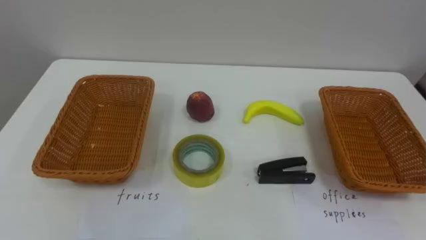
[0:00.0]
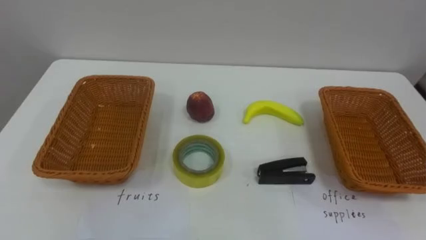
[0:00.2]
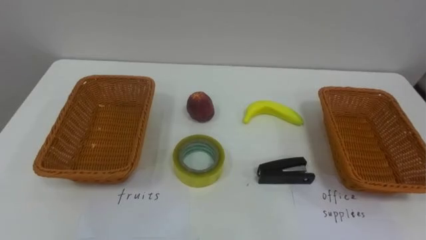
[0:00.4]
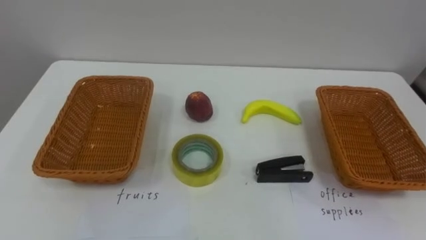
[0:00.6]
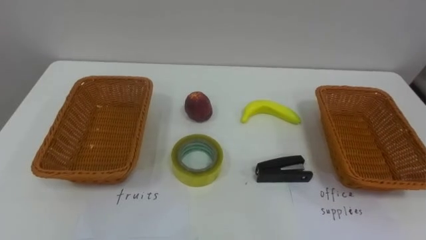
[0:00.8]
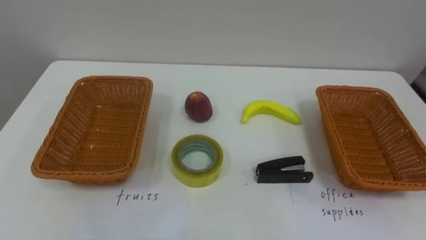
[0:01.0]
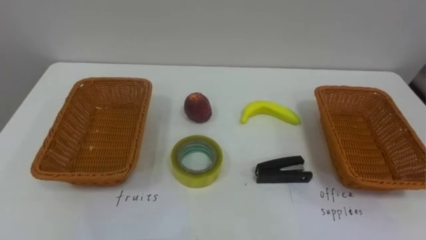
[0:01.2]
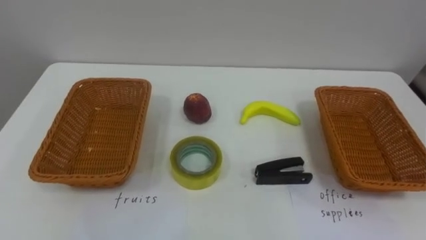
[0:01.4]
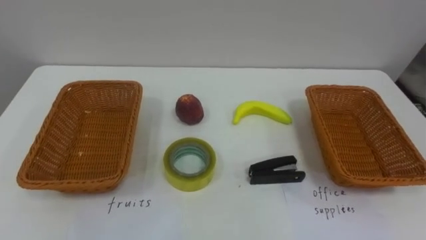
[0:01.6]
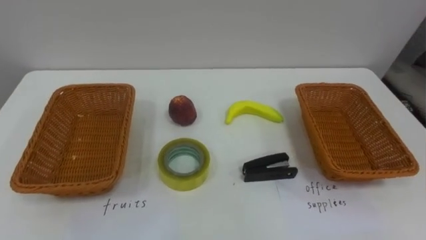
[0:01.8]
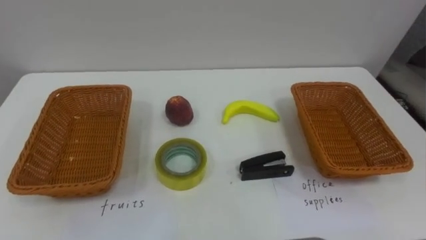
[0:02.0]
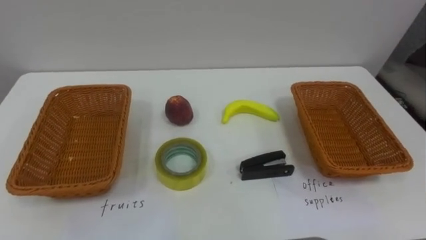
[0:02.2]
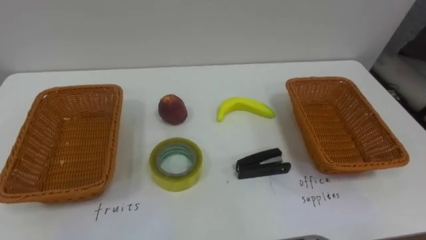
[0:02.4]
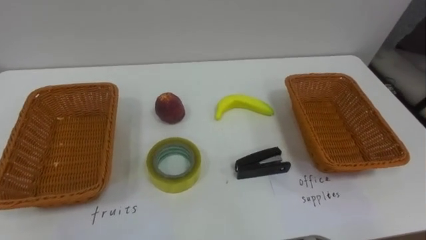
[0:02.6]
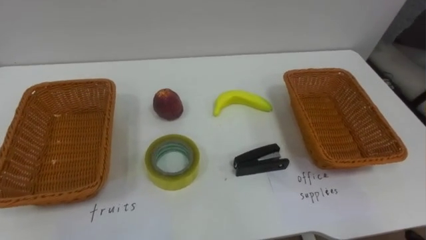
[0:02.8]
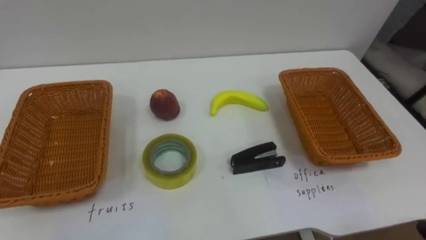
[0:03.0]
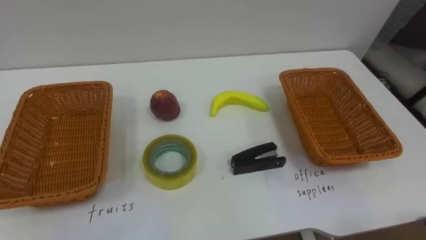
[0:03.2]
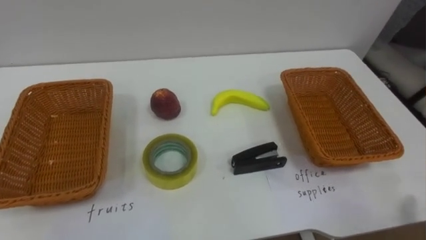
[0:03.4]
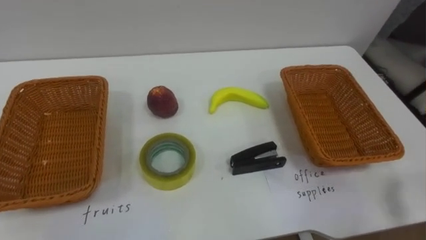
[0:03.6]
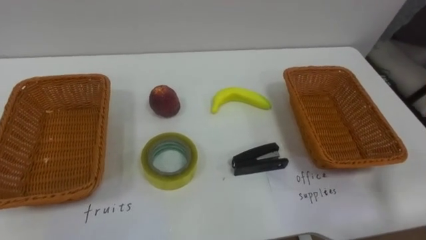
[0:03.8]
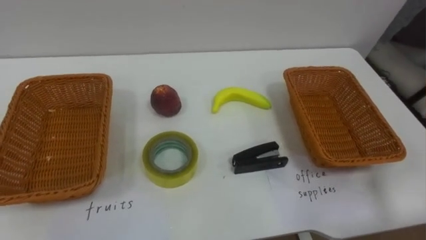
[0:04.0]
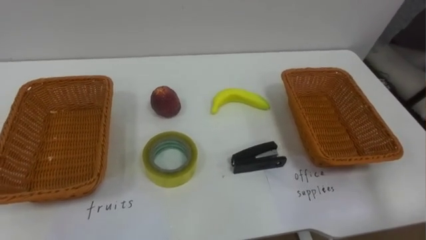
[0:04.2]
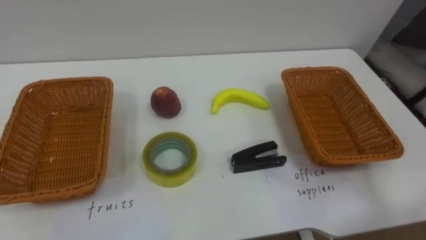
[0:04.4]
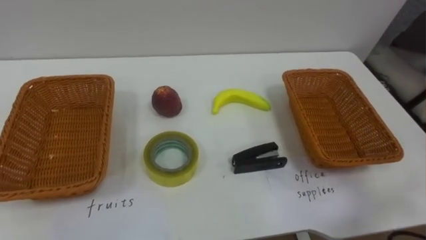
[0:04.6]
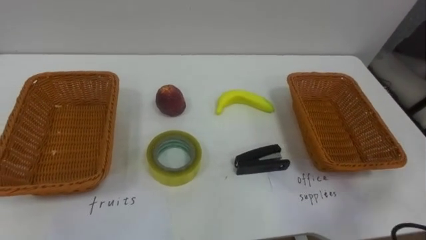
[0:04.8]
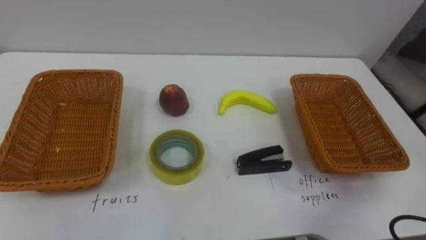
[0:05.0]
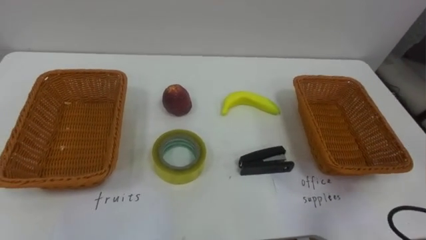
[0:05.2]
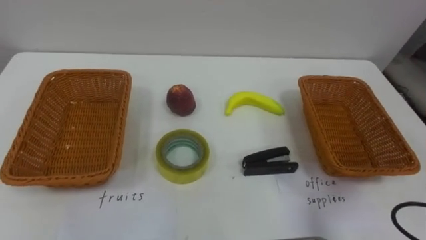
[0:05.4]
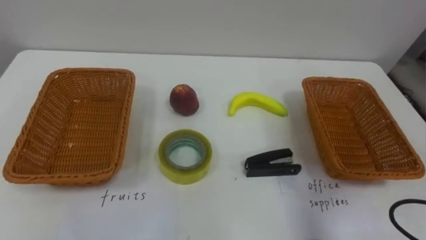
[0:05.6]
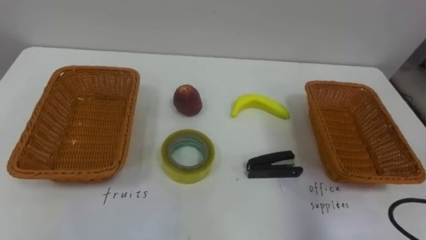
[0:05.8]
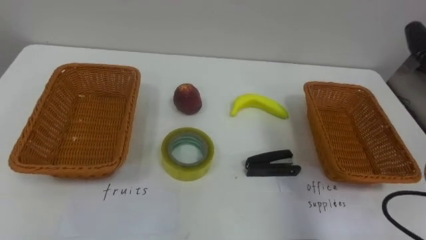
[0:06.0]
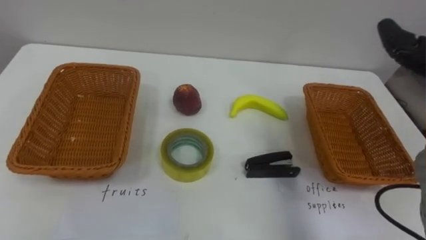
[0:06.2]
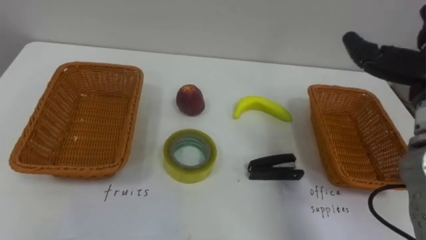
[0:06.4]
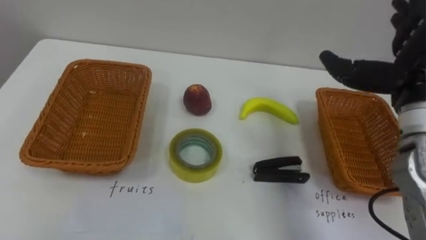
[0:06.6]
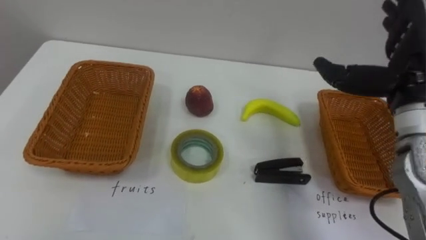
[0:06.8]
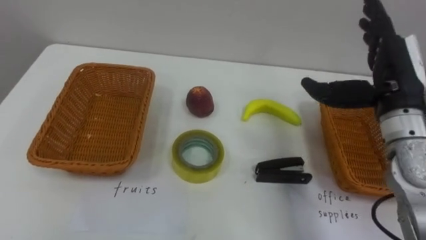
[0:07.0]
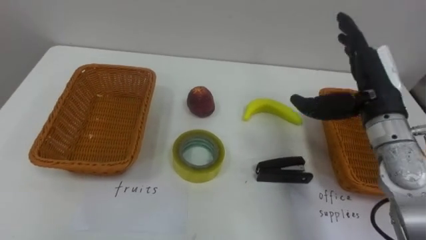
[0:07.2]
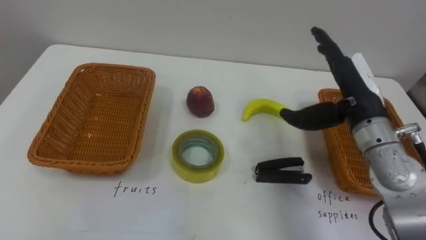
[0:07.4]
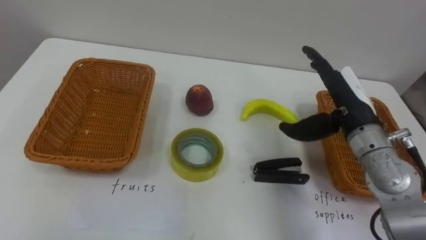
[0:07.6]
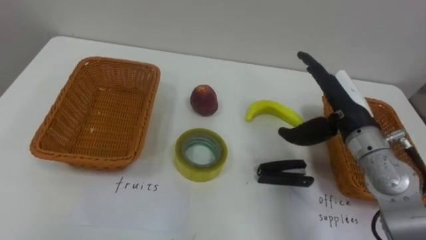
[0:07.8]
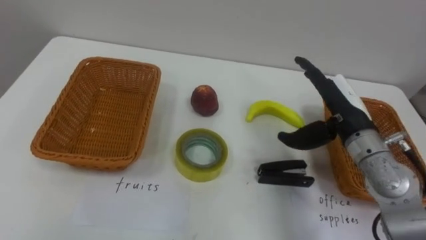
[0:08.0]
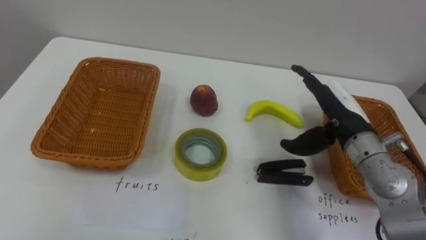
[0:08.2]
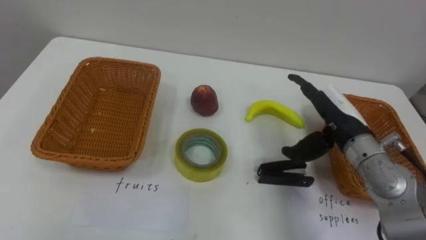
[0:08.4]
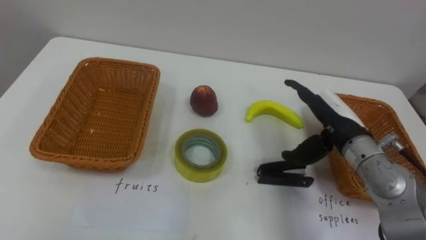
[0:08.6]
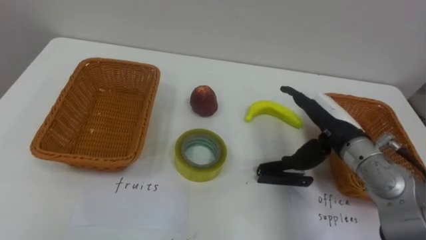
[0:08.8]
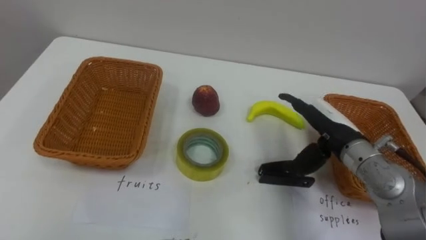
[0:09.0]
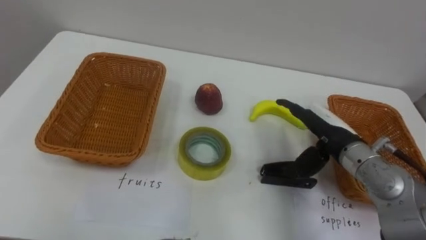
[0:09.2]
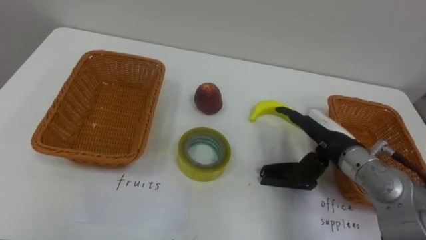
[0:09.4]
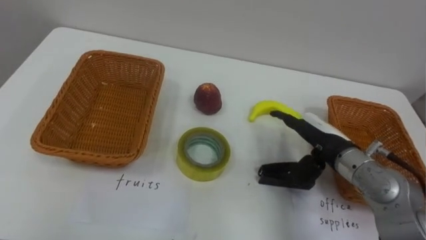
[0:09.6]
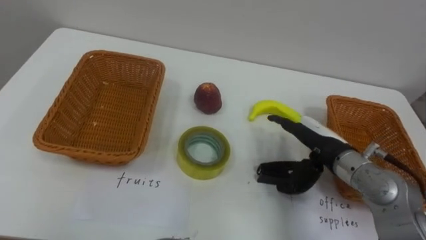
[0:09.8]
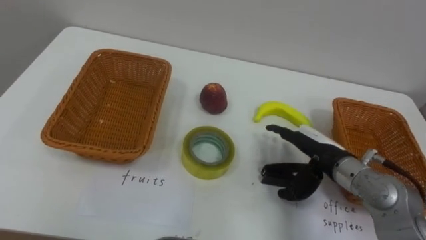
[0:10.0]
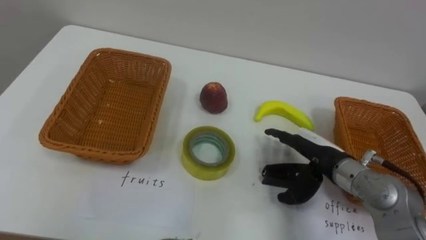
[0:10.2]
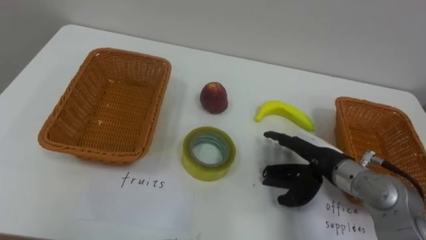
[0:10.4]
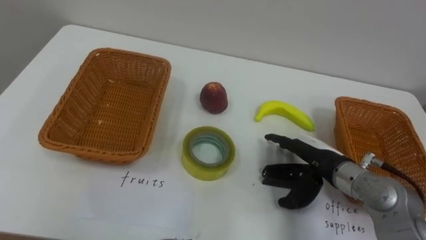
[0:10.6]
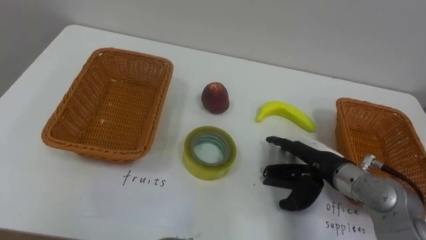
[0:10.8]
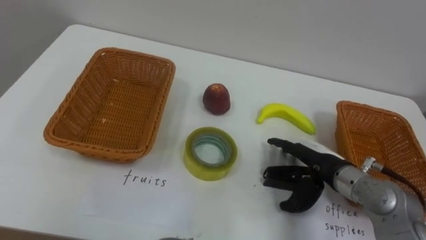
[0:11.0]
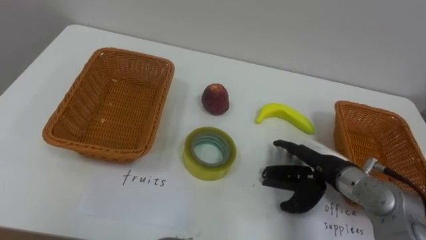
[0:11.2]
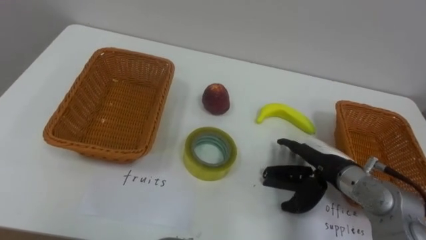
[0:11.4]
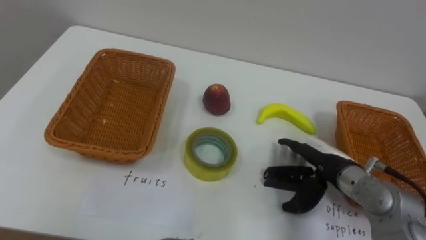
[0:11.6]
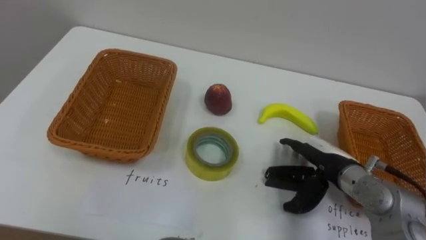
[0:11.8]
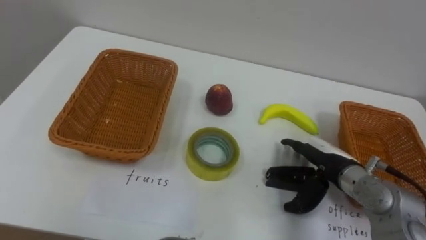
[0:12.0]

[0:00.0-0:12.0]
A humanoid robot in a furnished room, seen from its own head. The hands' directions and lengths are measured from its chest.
Task of the whole recording: Separate the items on the table and place them into the two baskets.
0:07.6 to 0:09.0: The right hand changes place by approximately 5 cm.
0:09.0 to 0:10.4: The right hand shifts by some 5 cm.

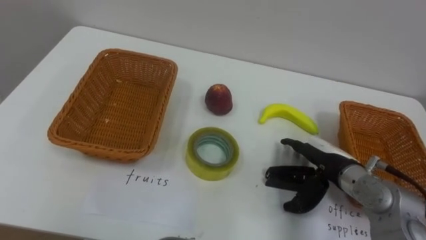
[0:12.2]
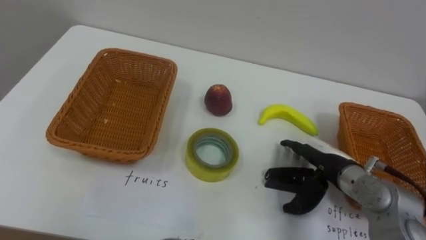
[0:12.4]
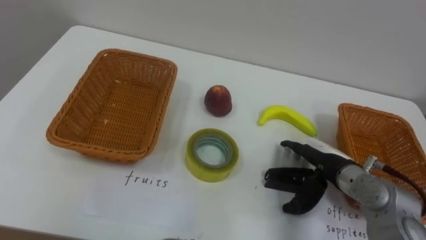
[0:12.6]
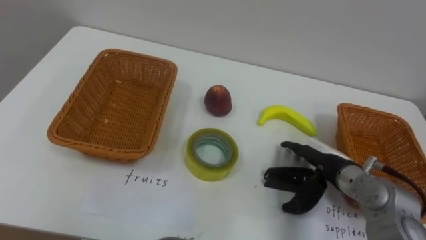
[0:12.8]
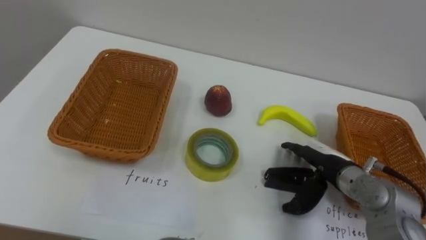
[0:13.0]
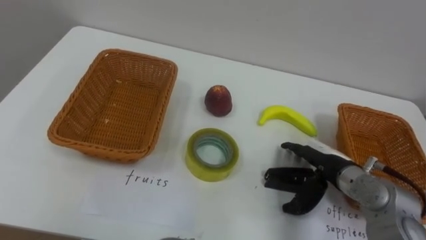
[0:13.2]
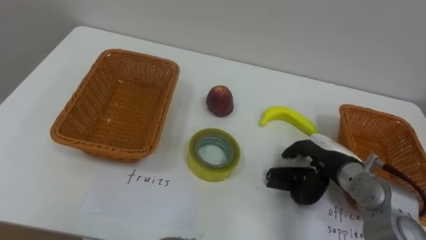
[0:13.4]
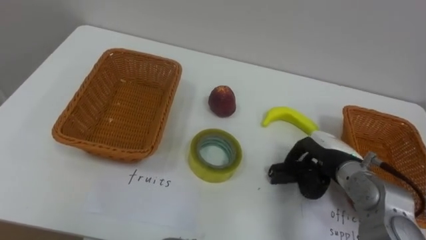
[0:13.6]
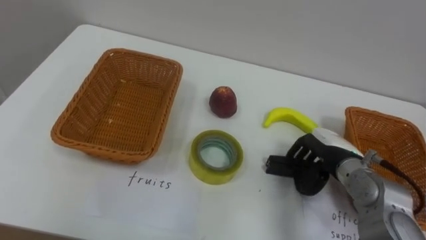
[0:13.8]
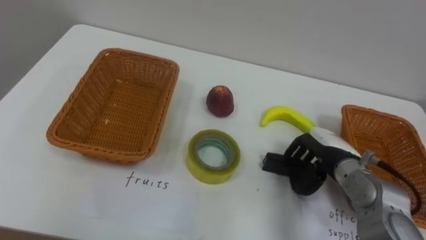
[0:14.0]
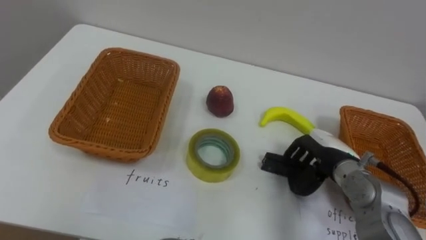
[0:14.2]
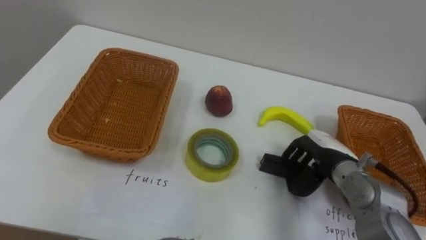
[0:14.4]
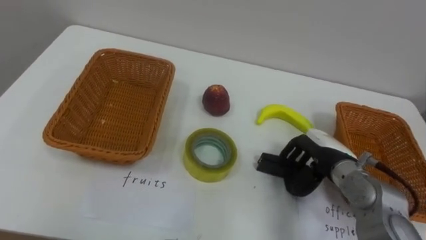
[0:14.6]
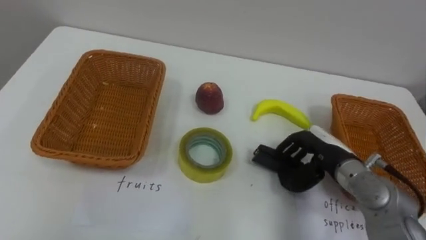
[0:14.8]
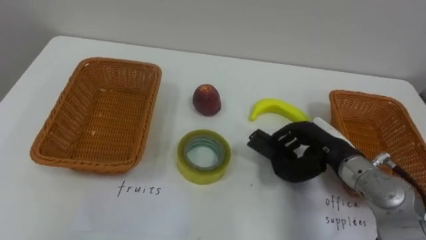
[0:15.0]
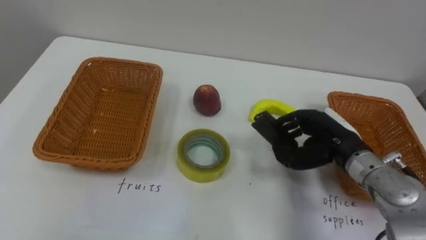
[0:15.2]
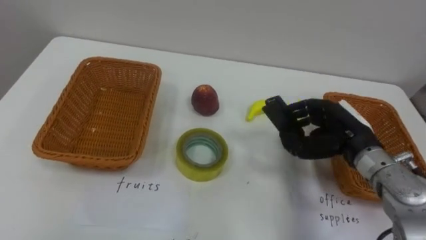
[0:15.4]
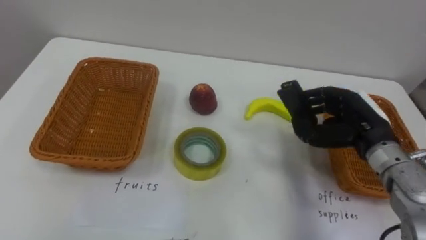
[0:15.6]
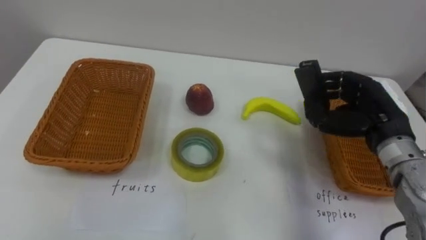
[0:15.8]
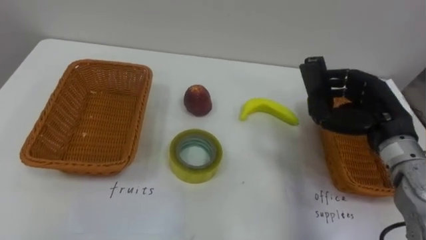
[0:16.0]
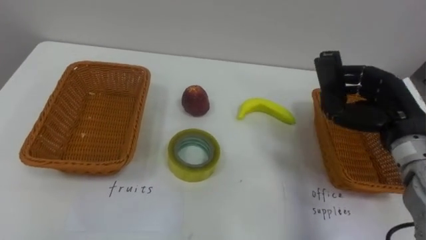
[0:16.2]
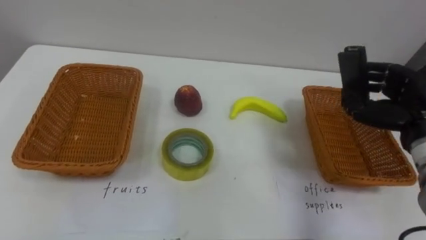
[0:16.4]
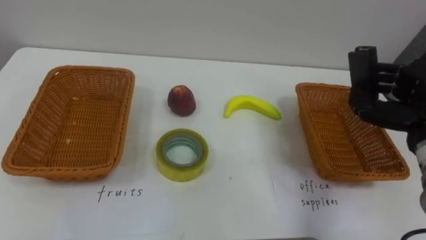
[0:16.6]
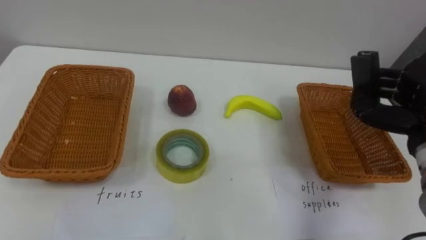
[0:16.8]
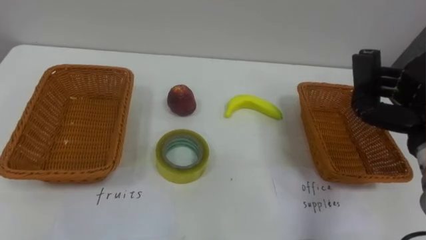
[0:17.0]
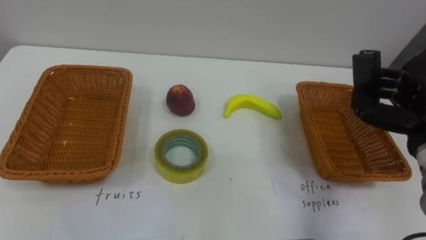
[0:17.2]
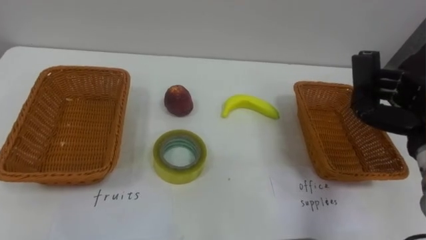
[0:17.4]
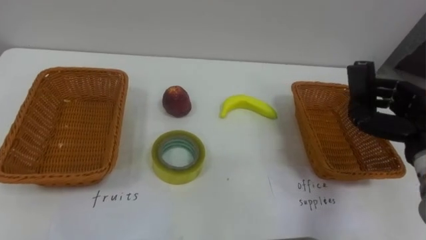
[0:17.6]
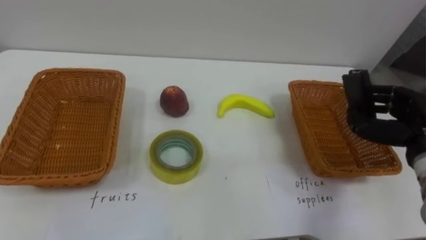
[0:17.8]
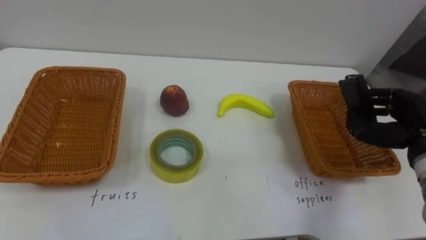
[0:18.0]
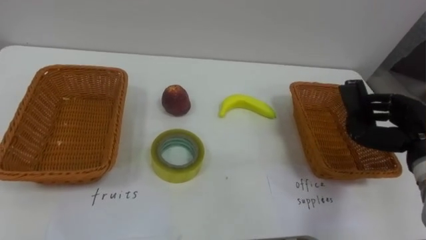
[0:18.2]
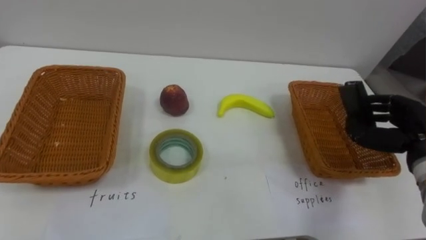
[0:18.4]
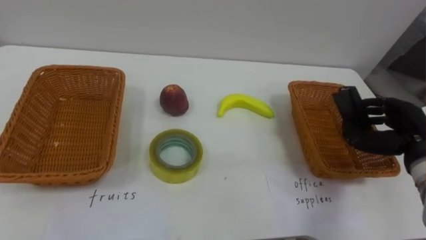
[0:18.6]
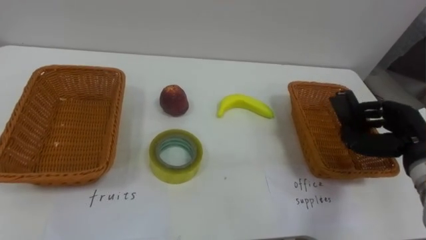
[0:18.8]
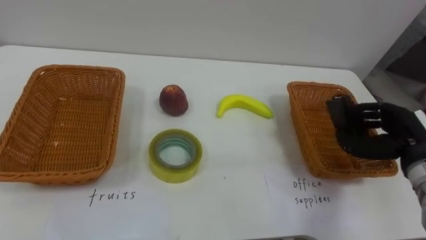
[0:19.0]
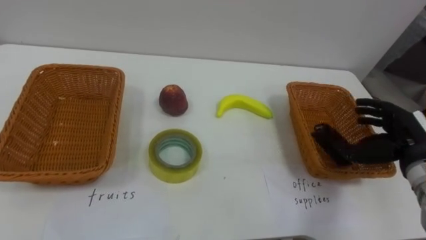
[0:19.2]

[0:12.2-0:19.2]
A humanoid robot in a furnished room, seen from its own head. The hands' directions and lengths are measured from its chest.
Task of the whole recording: Separate the items on the table and place them into the two baskets.
0:15.0 to 0:16.4: The right hand moves to the right and upward, approximately 15 cm.
